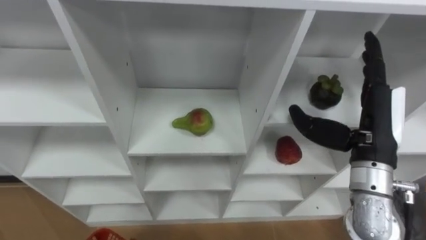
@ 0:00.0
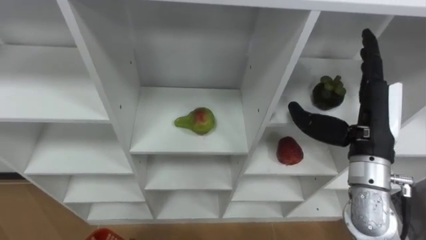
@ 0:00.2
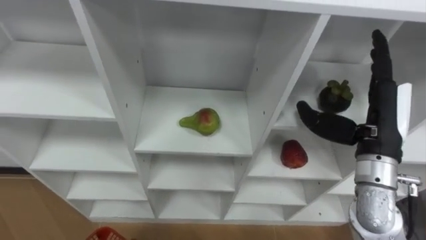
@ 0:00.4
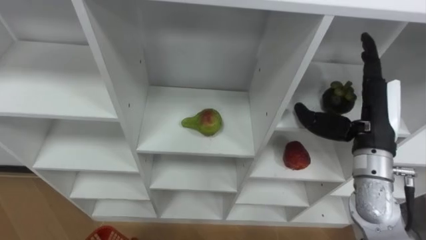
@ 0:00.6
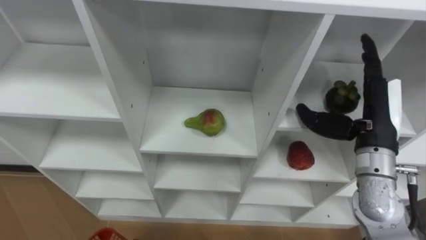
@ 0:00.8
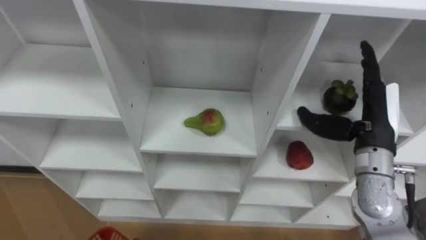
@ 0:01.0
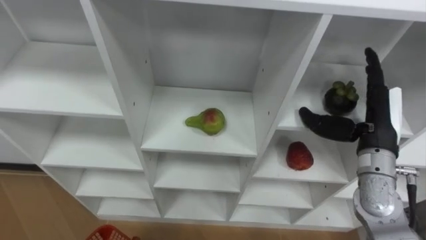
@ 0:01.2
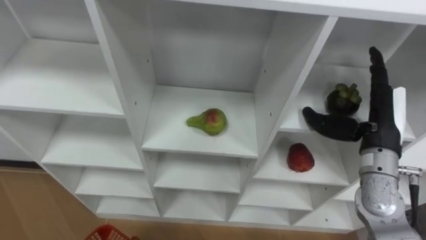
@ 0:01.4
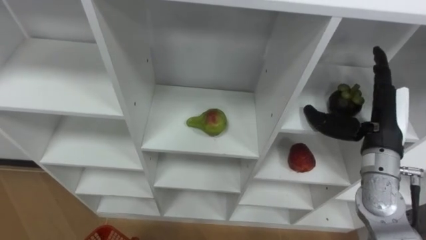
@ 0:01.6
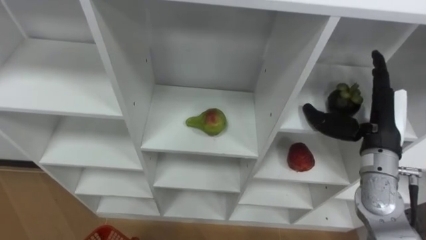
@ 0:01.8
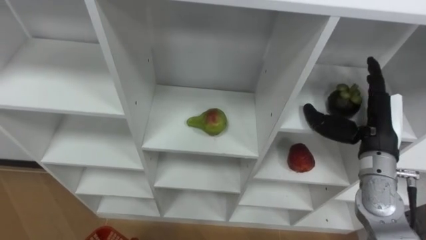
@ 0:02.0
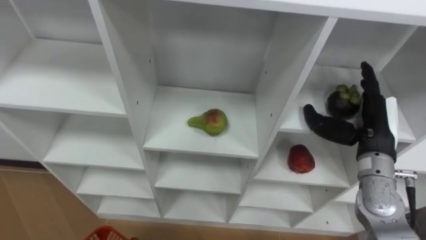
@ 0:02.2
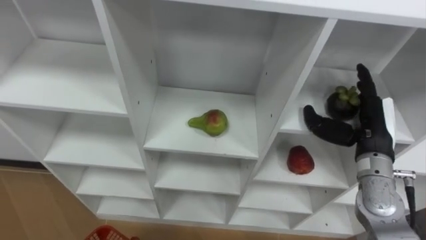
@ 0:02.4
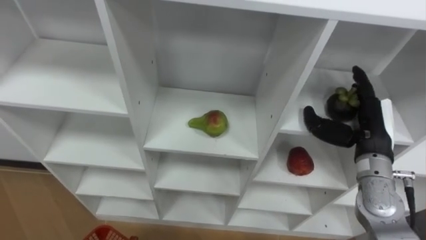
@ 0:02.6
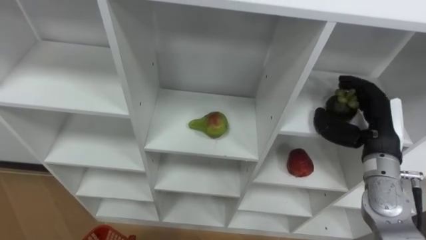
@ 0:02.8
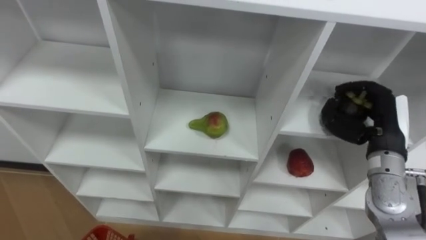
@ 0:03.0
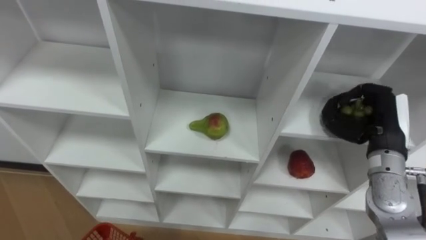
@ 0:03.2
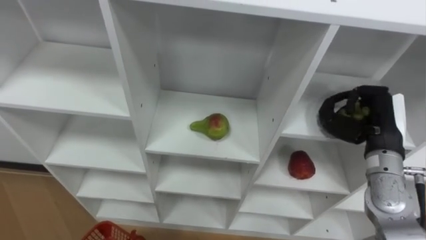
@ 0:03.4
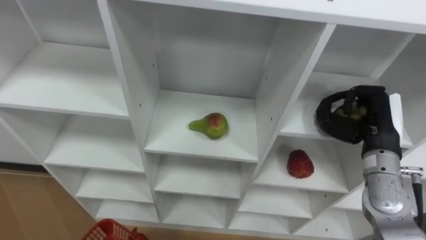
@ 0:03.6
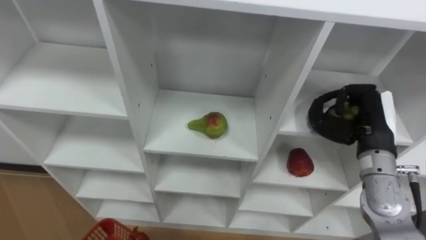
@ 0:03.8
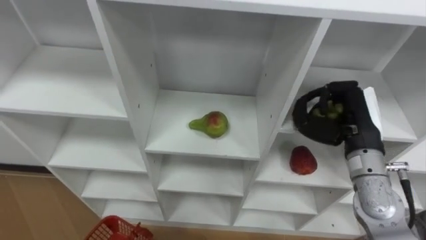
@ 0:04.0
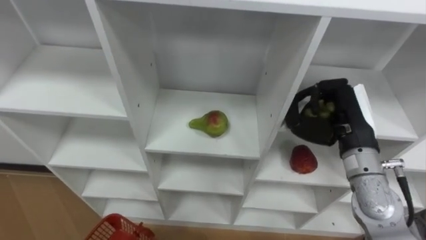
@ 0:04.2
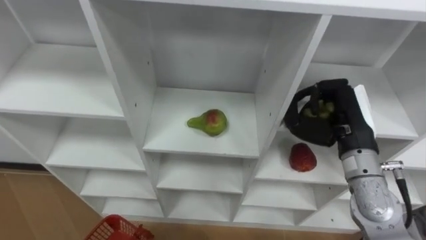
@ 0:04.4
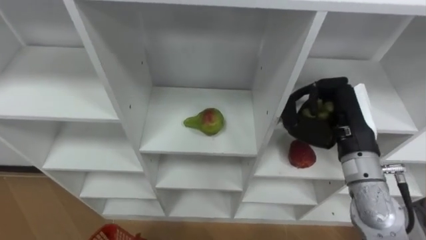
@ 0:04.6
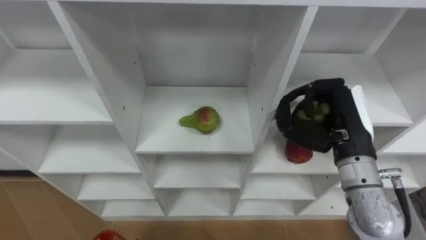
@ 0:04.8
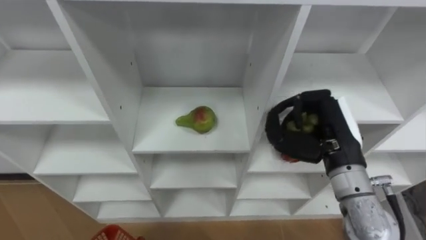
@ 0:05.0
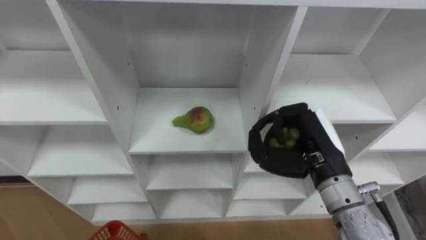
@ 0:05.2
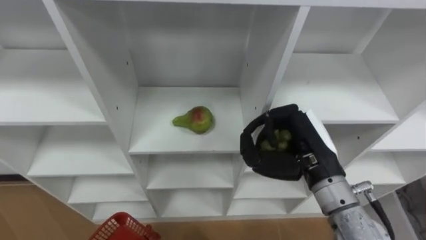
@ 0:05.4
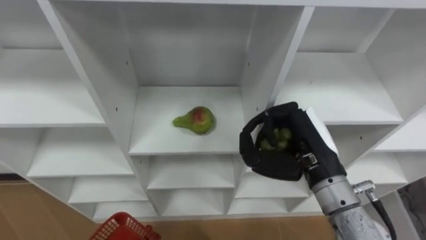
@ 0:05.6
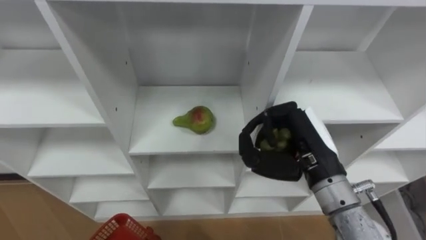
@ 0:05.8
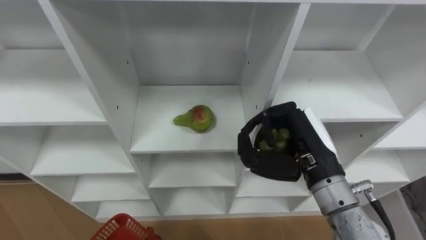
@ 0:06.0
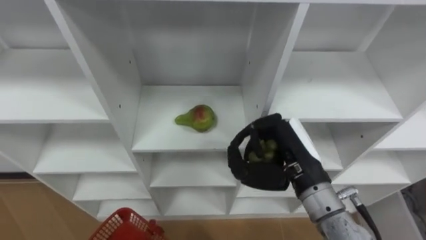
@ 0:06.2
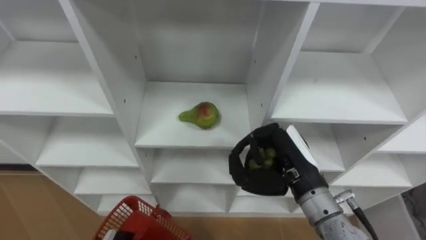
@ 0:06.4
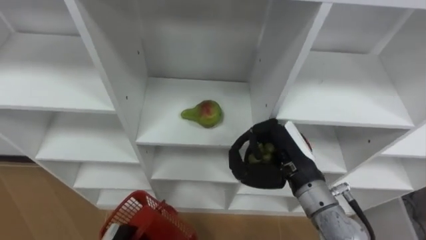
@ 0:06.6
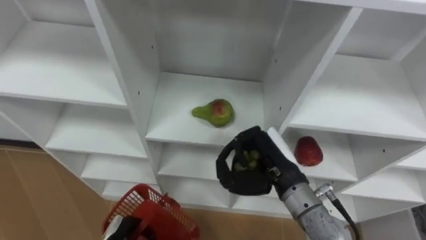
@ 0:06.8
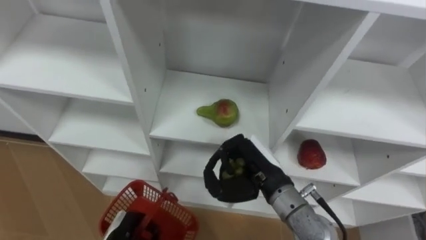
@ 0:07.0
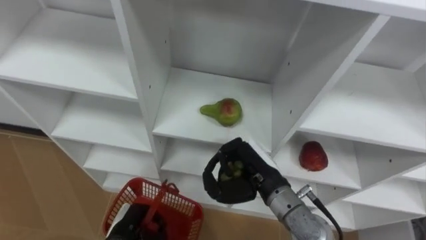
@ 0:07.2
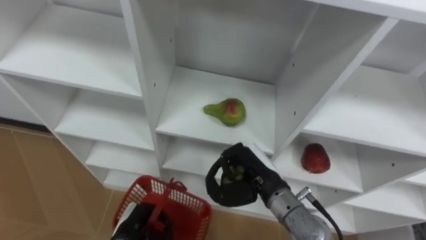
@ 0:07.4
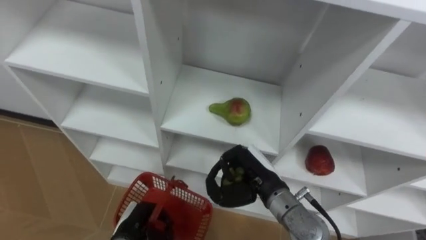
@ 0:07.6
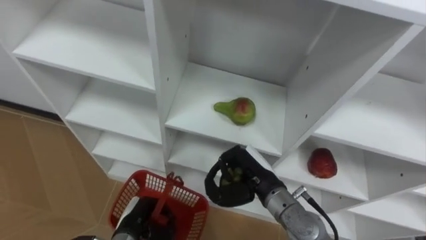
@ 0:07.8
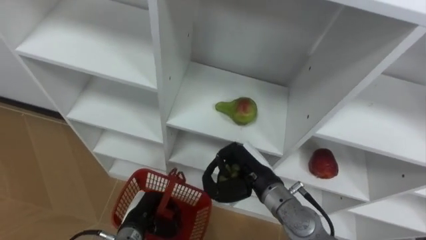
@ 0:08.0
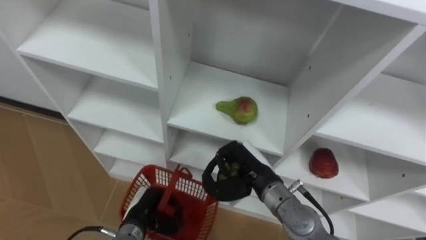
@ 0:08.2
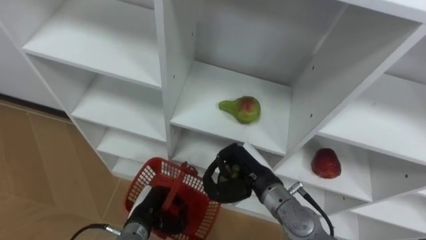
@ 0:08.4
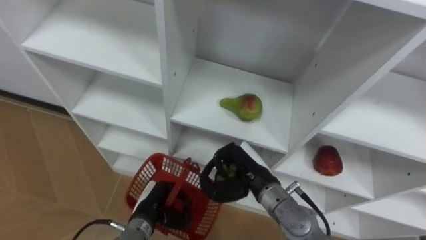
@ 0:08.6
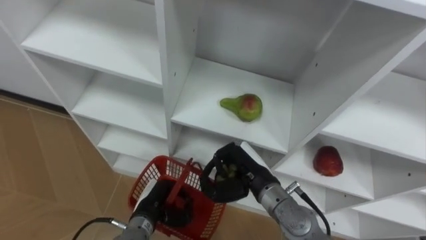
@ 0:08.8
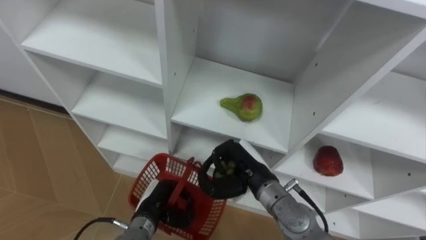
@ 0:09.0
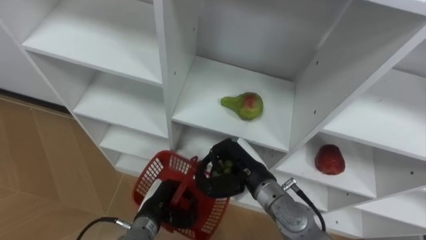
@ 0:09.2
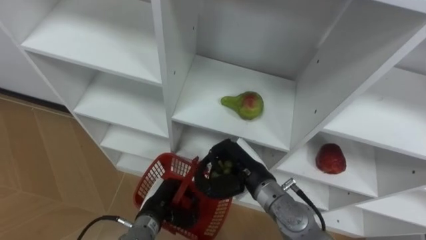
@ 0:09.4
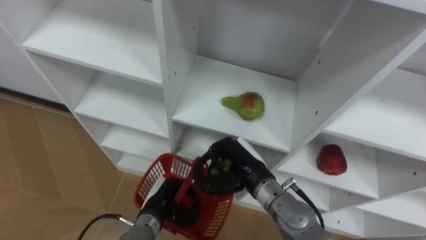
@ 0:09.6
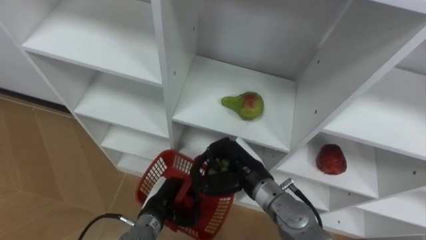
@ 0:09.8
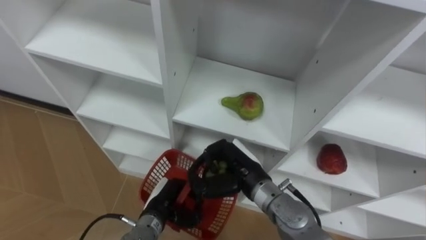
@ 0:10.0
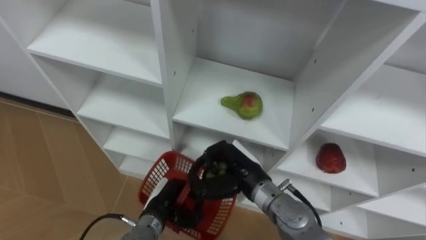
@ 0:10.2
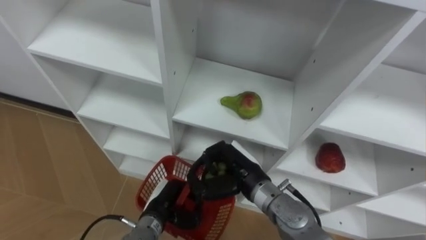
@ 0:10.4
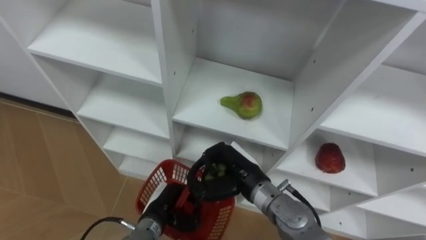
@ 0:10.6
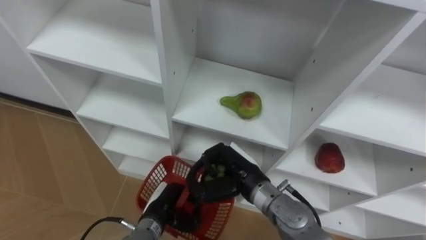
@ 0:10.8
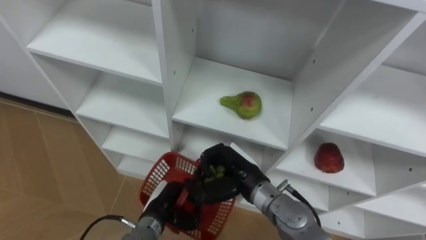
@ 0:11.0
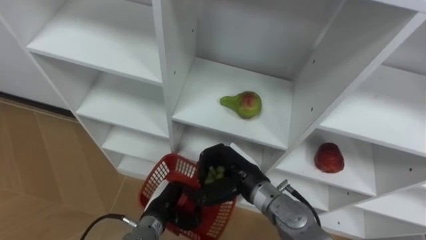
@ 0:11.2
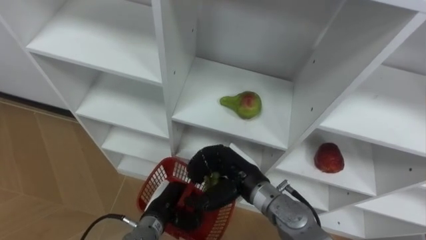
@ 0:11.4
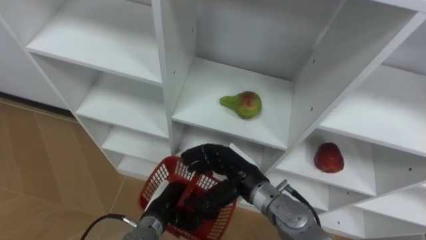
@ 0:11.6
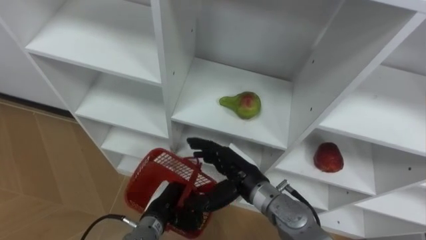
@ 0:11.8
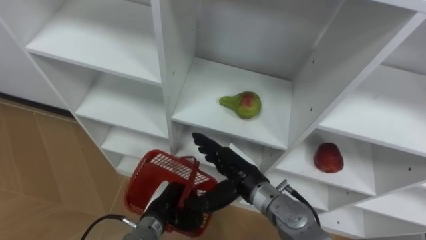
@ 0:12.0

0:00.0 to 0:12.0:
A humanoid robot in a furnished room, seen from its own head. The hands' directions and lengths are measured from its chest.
Task of the whole recording: Hold the basket and collect the fruits from 3 different cells of the closet into it.
0:00.0 to 0:01.6: The right hand ends up roughly 5 cm from where it was.
0:01.6 to 0:03.0: The right hand closes up.
0:03.0 to 0:04.4: The right hand is displaced to the left by roughly 5 cm.
0:04.4 to 0:06.0: The right hand moves to the left, about 5 cm.
0:06.0 to 0:07.6: The right hand goes about 15 cm downward and to the left.
0:07.6 to 0:09.0: The left hand shifts by roughly 5 cm.
0:09.0 to 0:10.4: The hands move only a little.
0:10.4 to 0:12.0: The right hand opens.

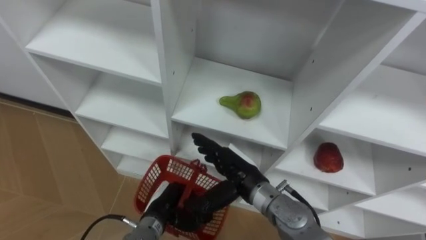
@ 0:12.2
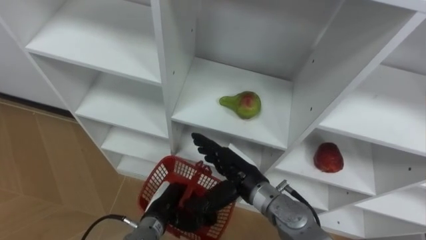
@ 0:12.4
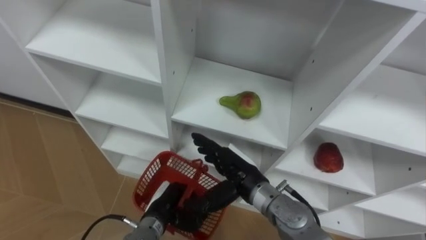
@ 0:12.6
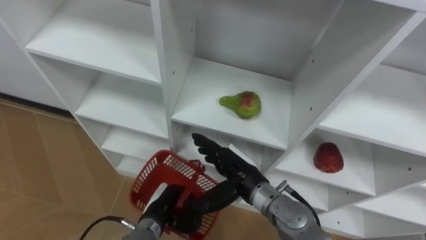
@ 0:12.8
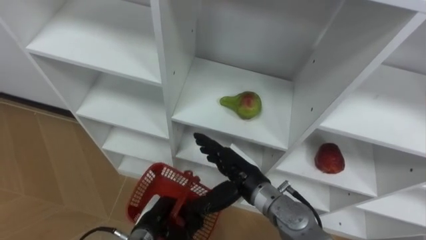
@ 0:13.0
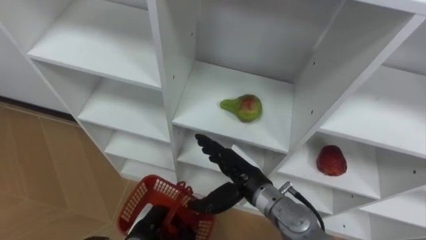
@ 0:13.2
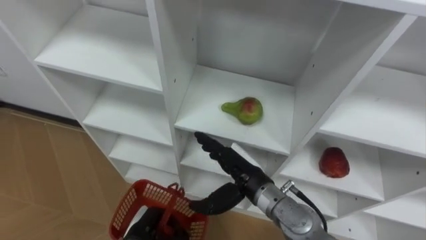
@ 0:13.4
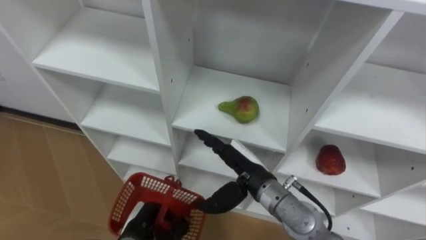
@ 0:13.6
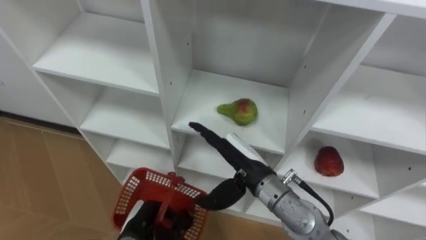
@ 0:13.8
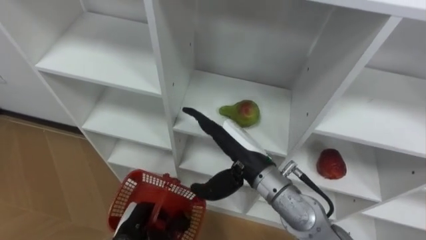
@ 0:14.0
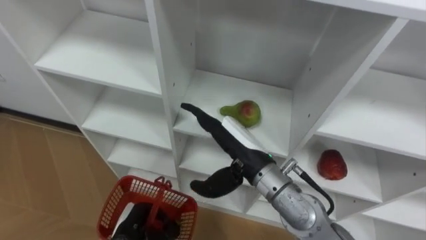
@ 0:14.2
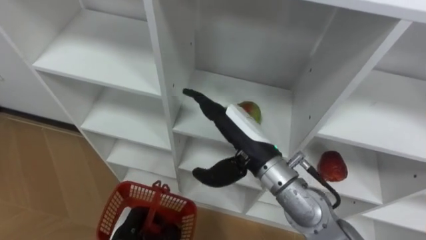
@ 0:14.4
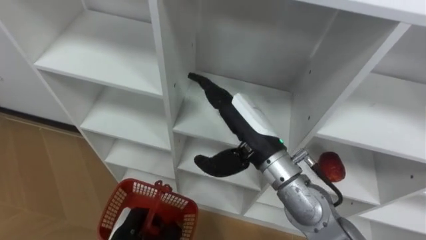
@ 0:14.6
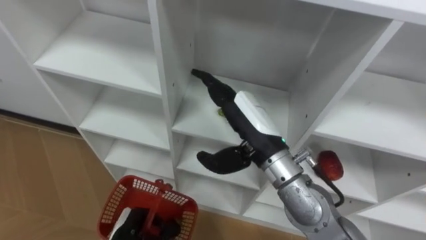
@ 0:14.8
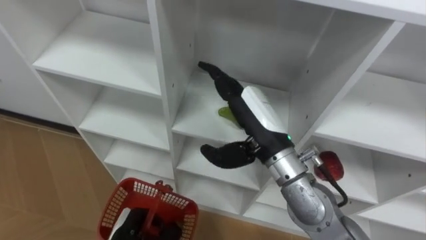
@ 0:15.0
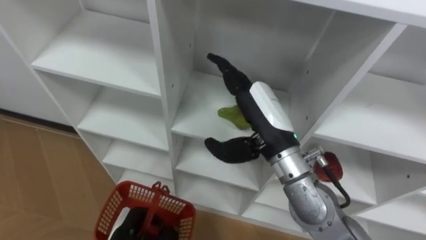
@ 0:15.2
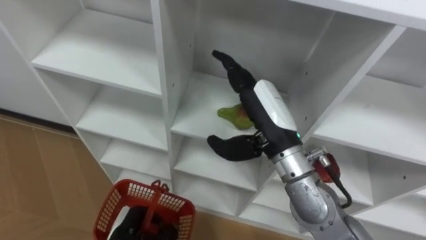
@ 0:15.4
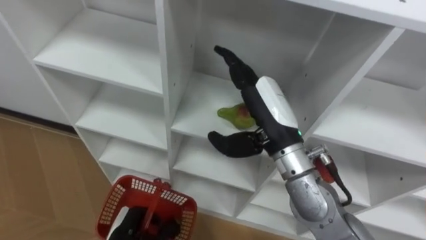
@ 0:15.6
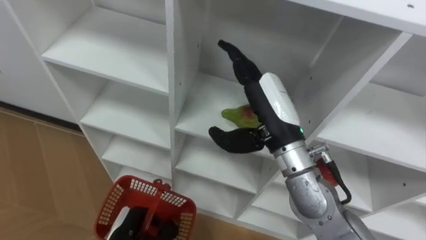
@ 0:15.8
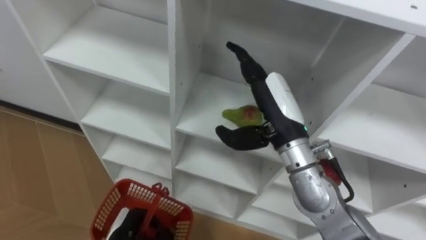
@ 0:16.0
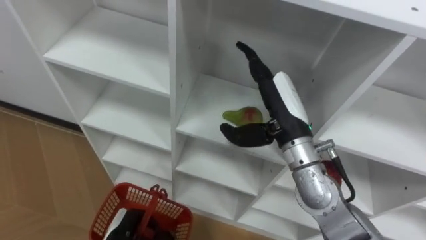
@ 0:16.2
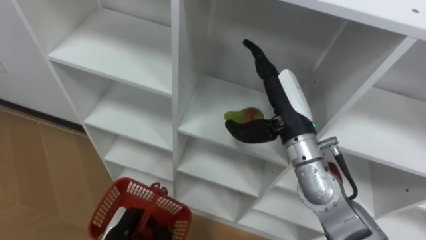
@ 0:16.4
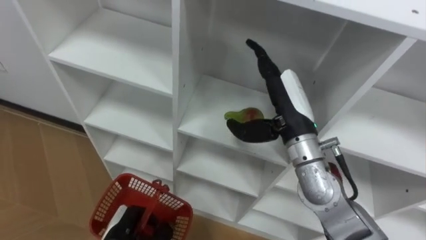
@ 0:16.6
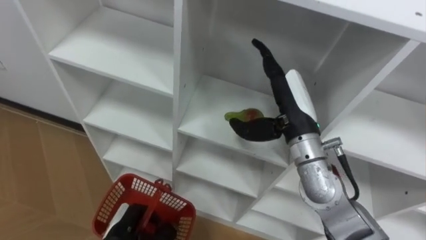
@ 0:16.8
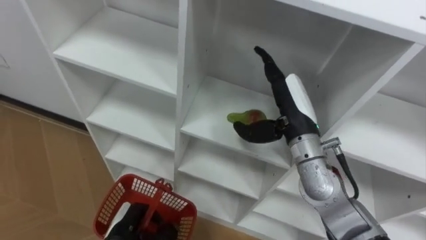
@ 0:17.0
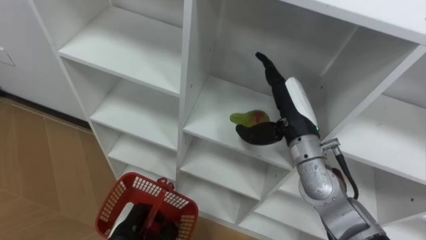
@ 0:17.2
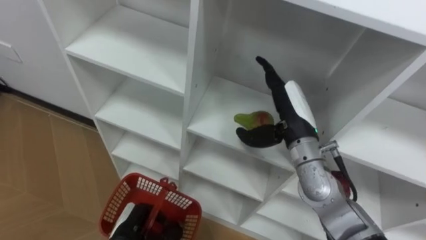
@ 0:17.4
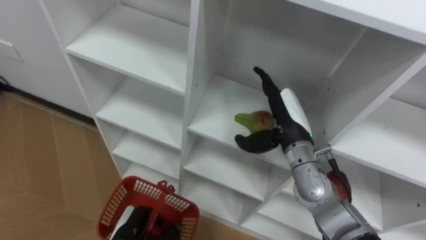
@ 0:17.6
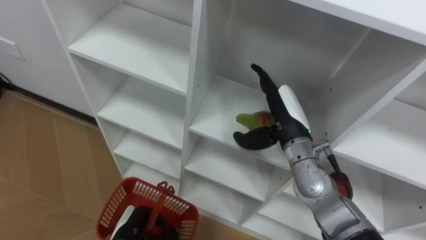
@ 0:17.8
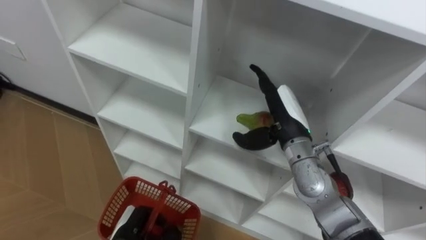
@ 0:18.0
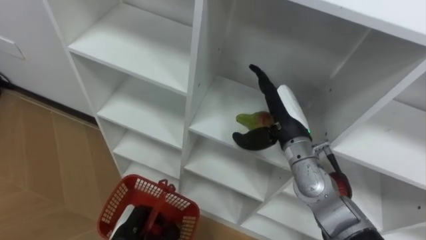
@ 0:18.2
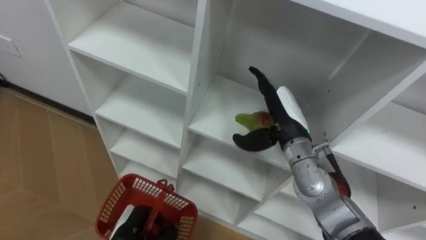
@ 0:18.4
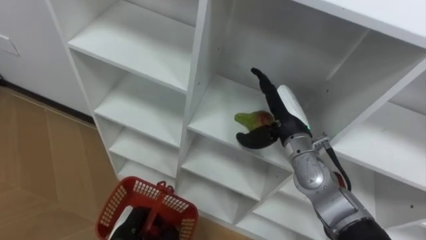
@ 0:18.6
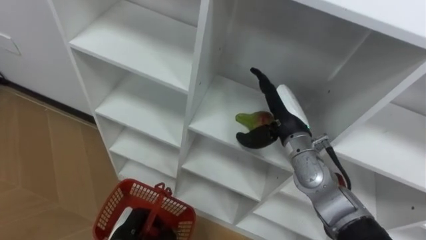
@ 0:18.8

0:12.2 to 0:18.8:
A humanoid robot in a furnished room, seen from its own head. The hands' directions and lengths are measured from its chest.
Task of the whole recording: Hold the basket and collect the fruits from 3 different cells of the closet into it.
0:12.2 to 0:13.8: The left hand moves to the left, about 5 cm.
0:13.8 to 0:15.4: The right hand heads upward, covering about 10 cm.
0:15.4 to 0:17.2: The right hand is displaced to the right by roughly 5 cm.
